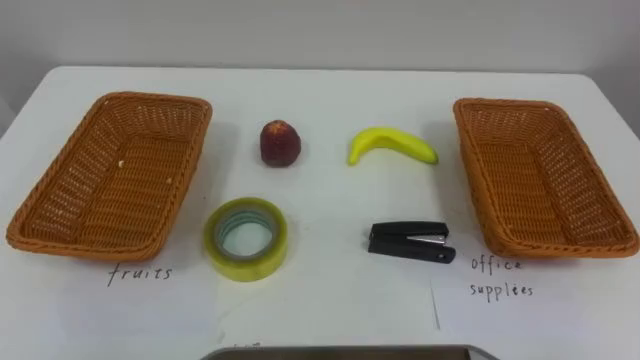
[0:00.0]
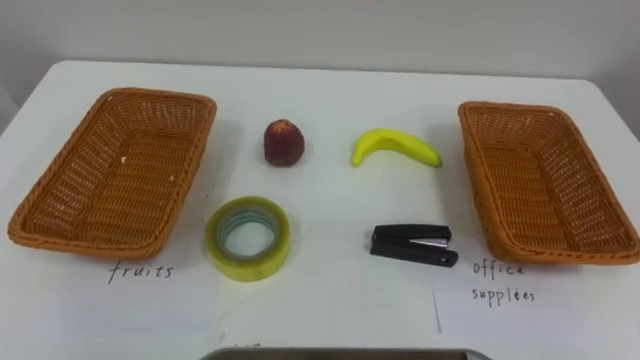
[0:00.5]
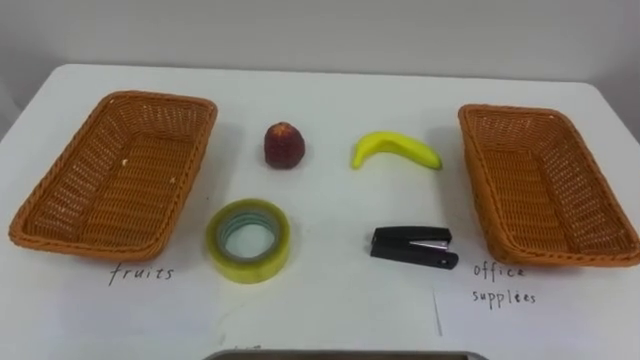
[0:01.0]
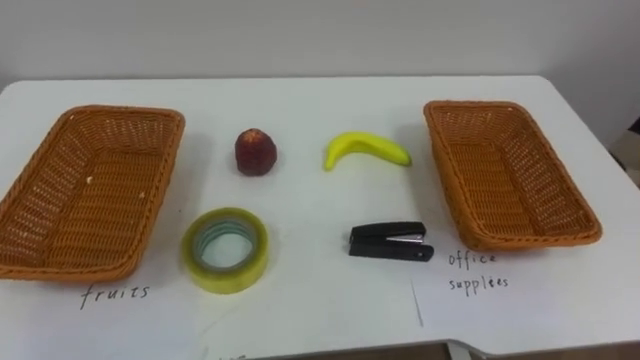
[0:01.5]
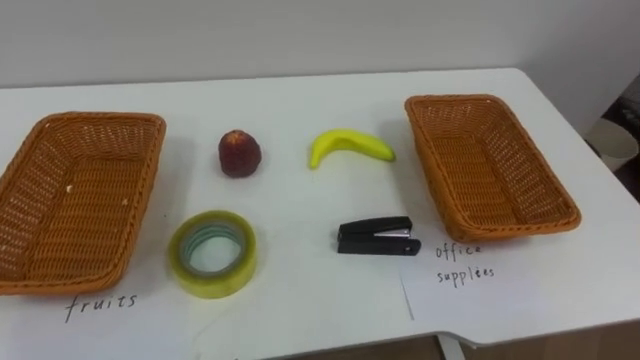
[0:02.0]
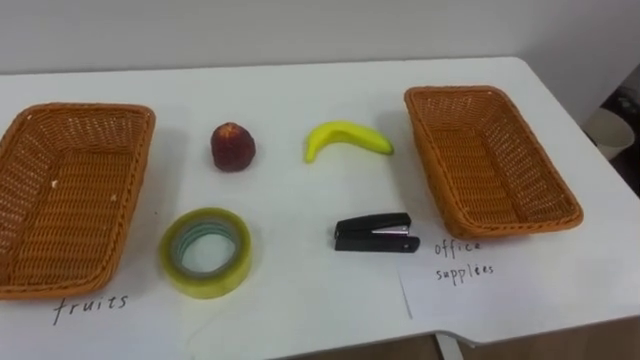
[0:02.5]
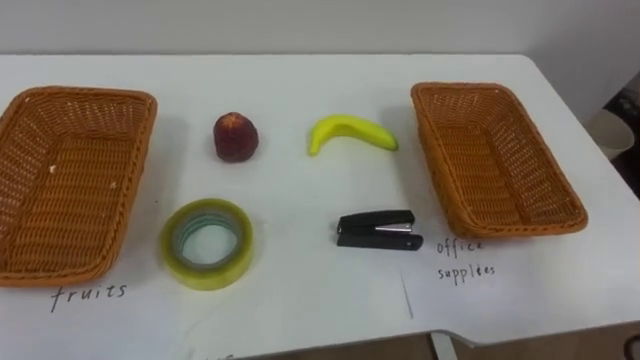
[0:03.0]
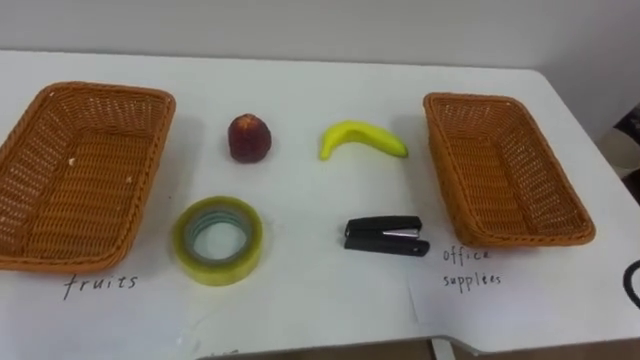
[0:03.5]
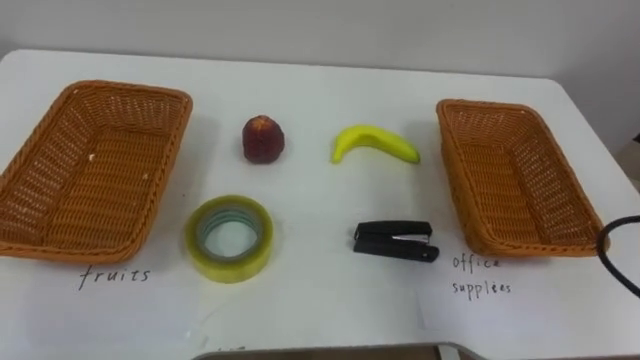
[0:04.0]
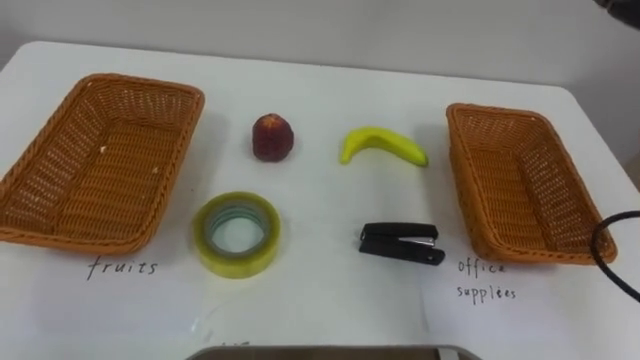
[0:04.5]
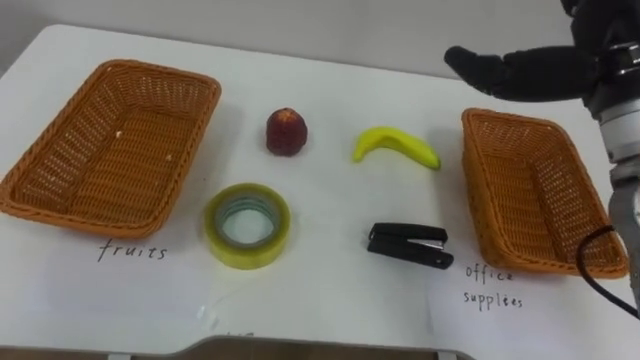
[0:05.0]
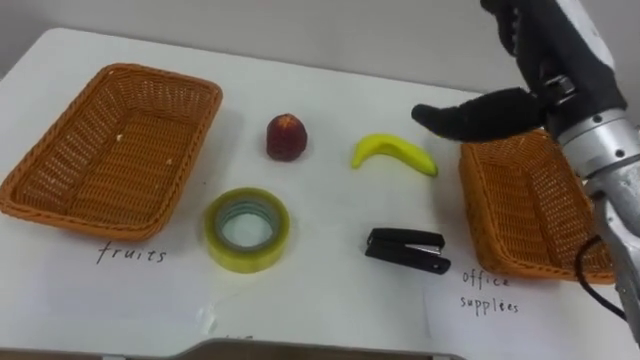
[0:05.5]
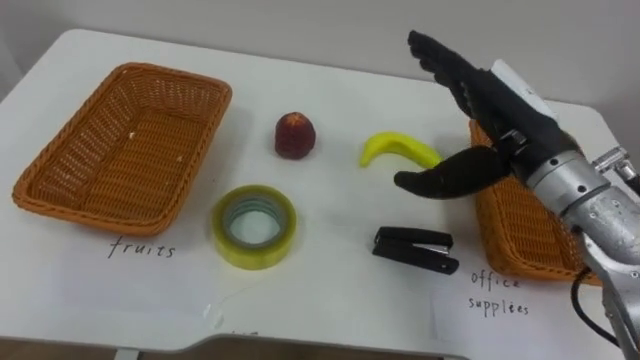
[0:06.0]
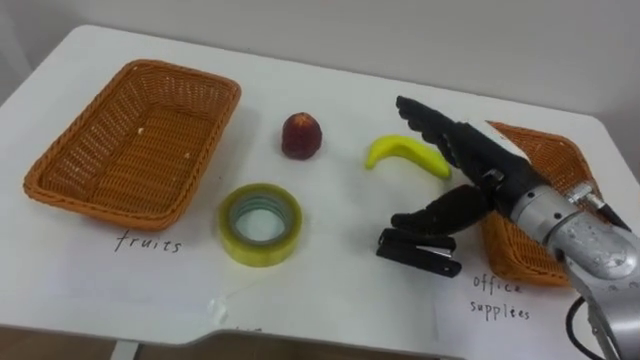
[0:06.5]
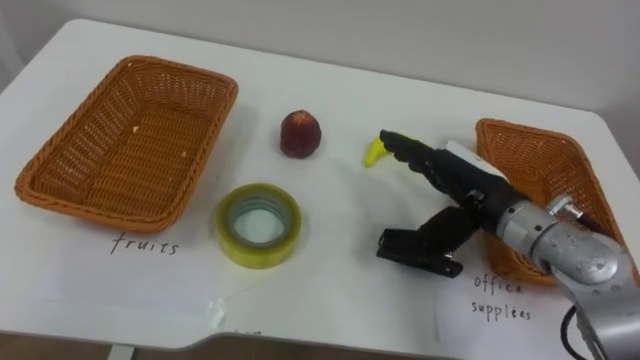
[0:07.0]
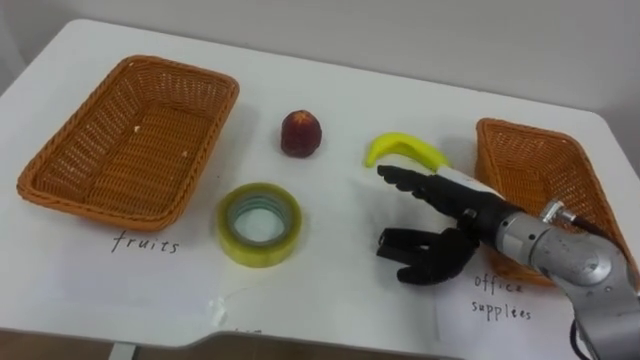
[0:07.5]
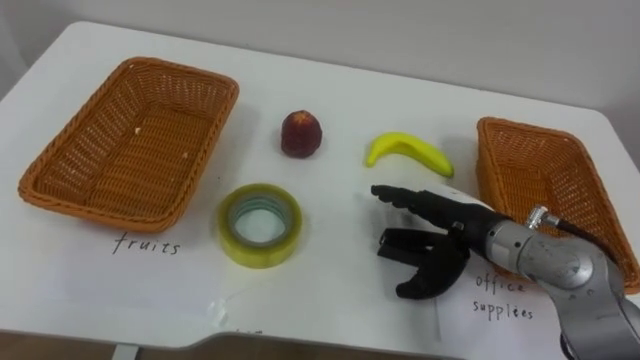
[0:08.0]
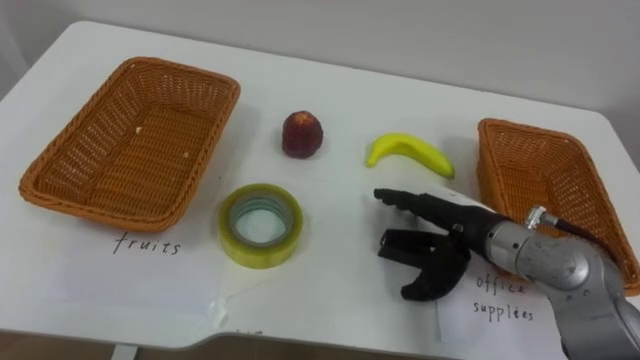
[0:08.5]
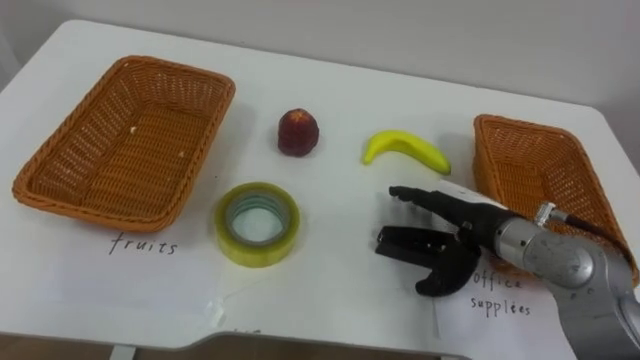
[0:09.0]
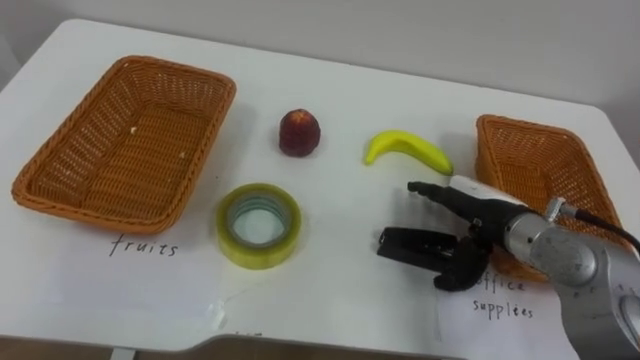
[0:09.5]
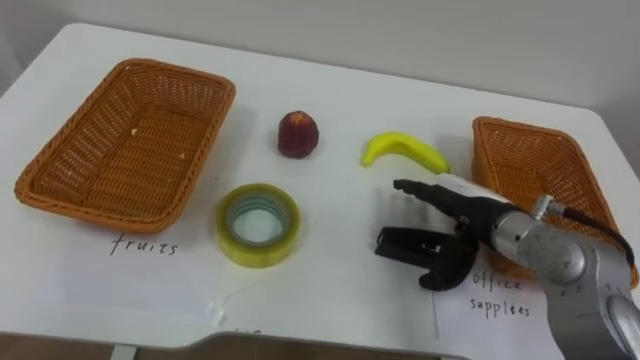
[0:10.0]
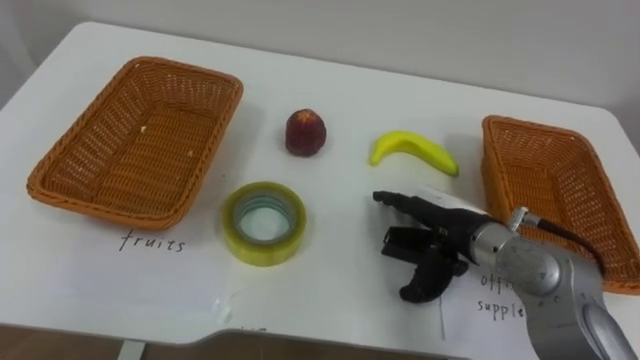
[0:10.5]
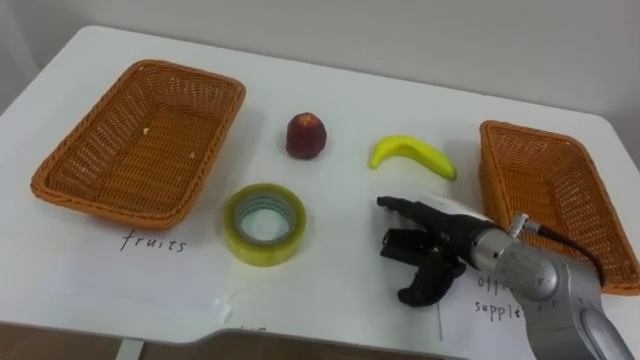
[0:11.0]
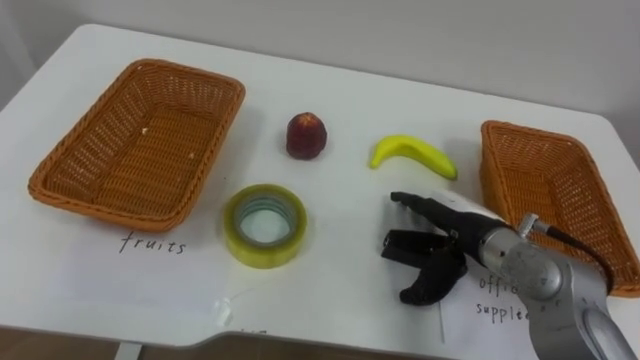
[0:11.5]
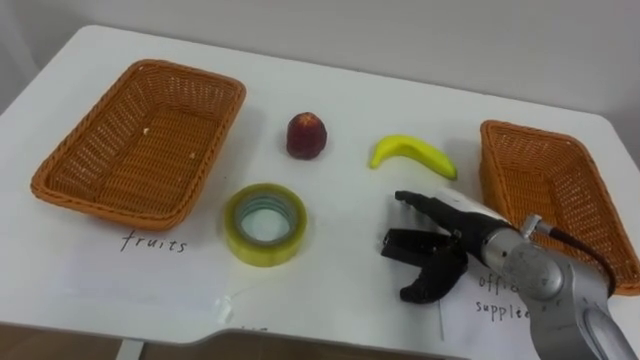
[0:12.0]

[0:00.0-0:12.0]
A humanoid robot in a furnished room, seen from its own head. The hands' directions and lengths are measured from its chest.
Task of the whole recording: Separate the items on the table and place them into the two baskets.
0:06.0 to 0:08.0: The right hand travels downward by roughly 15 cm.

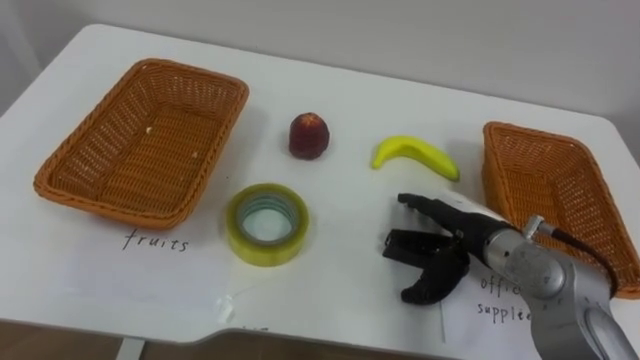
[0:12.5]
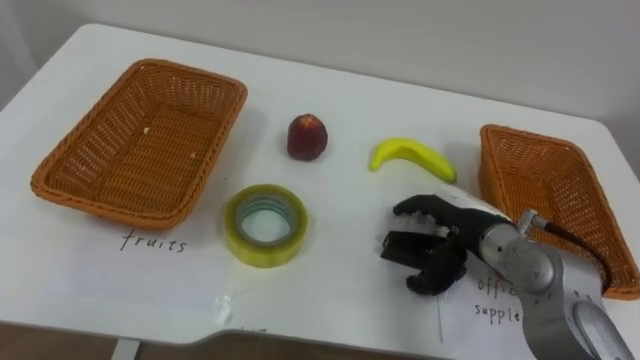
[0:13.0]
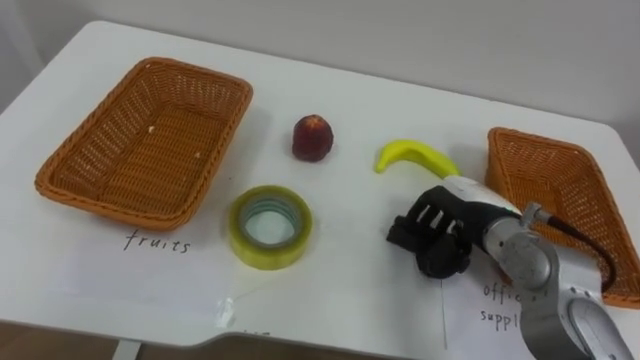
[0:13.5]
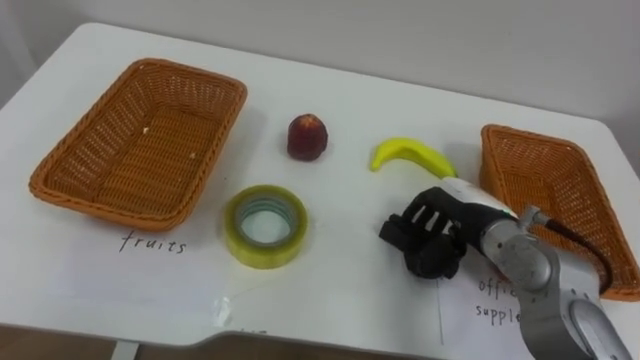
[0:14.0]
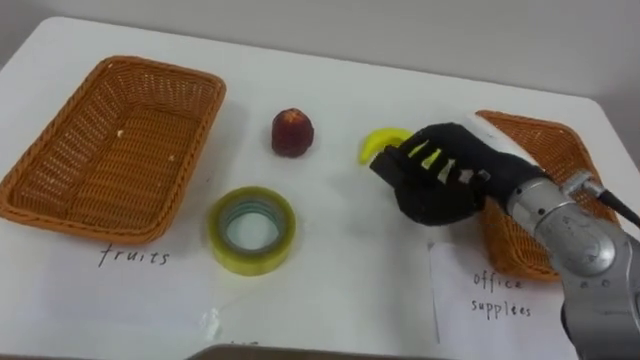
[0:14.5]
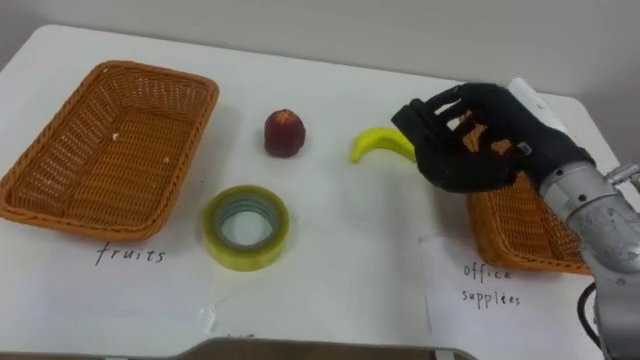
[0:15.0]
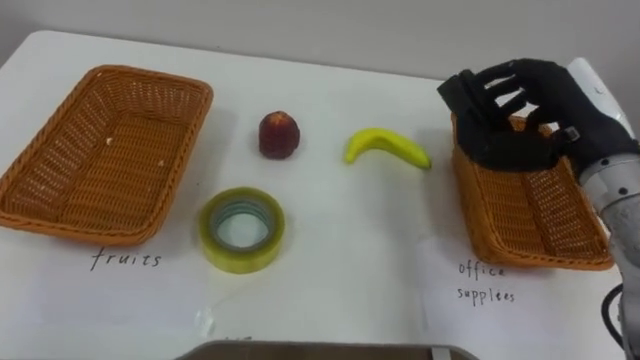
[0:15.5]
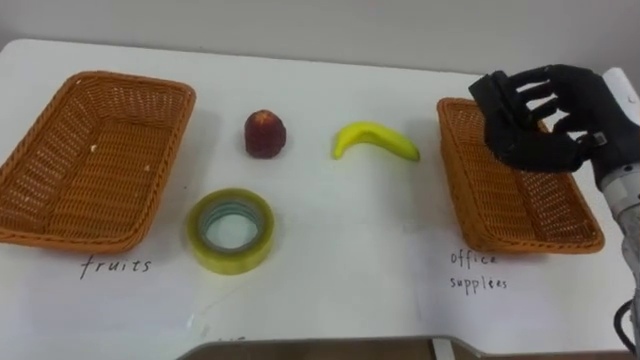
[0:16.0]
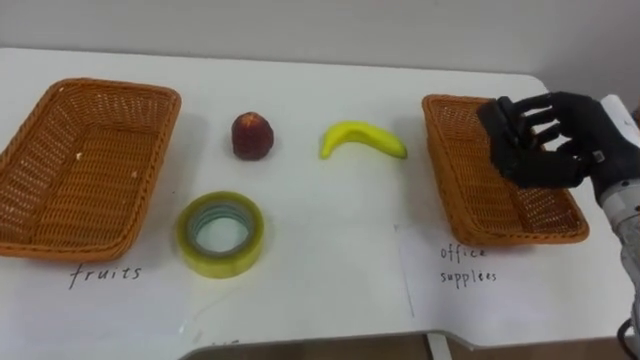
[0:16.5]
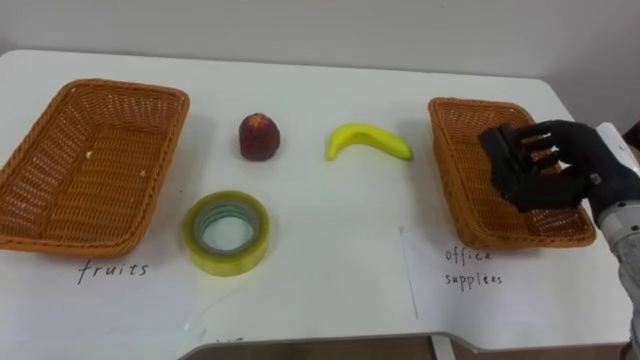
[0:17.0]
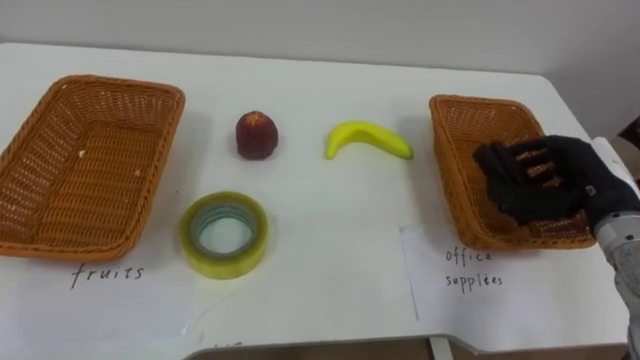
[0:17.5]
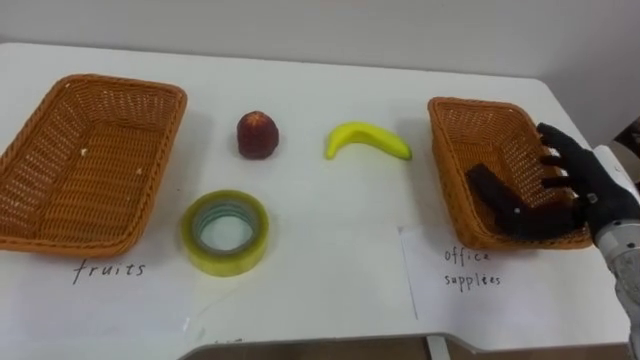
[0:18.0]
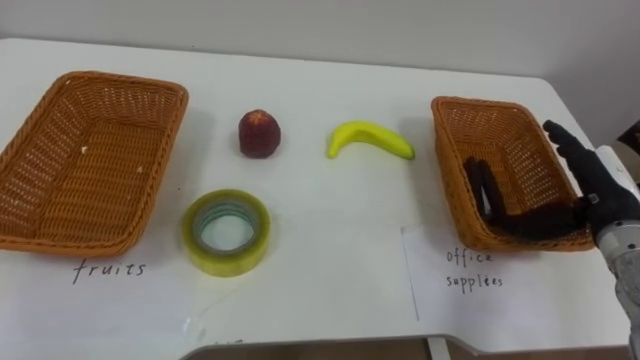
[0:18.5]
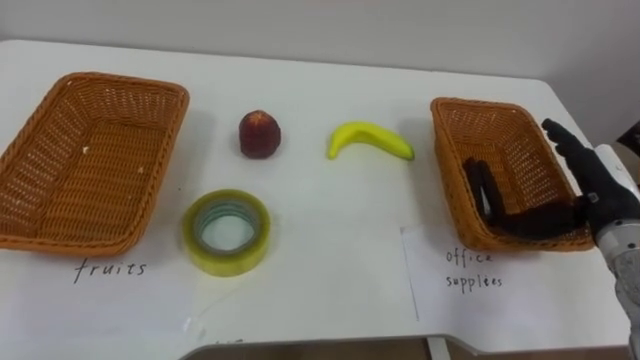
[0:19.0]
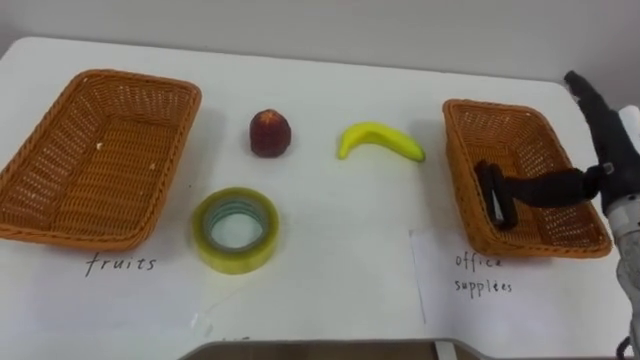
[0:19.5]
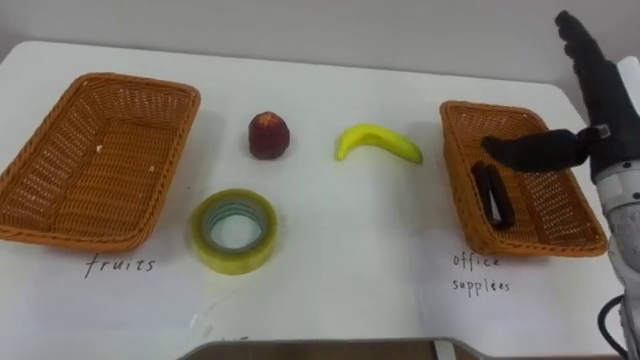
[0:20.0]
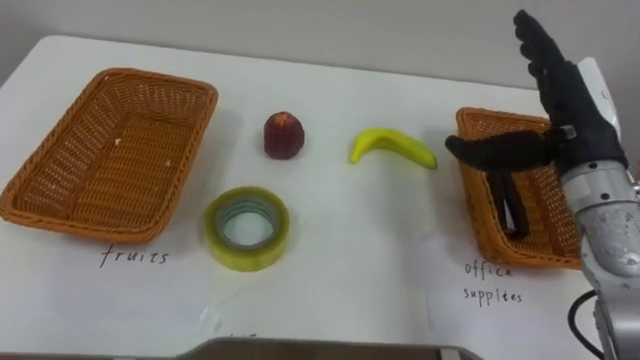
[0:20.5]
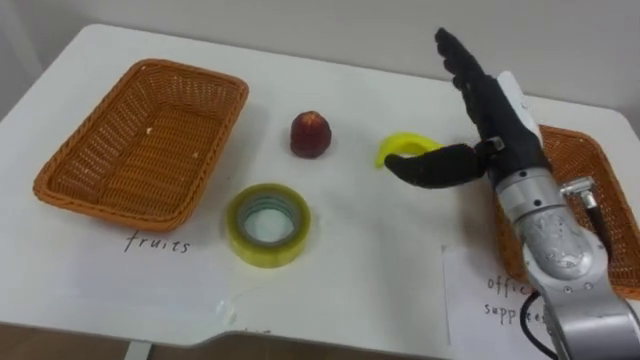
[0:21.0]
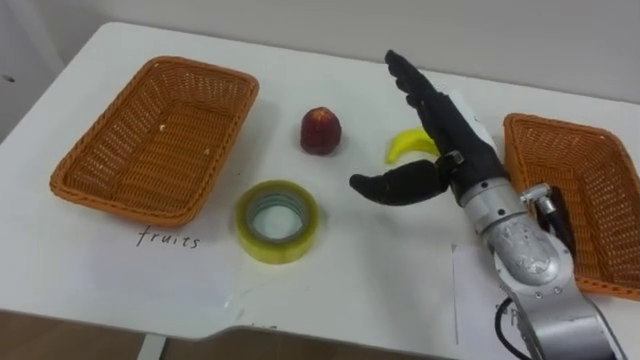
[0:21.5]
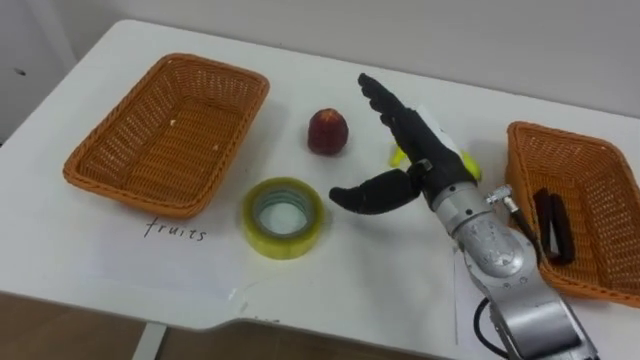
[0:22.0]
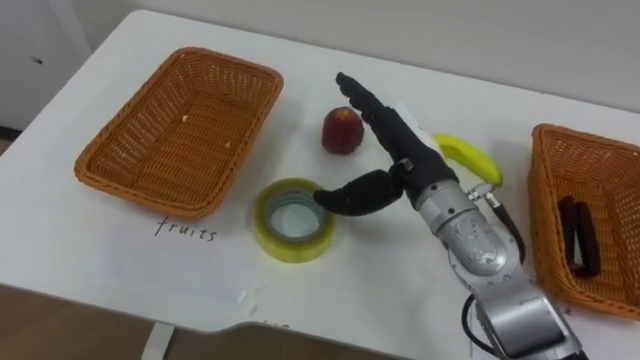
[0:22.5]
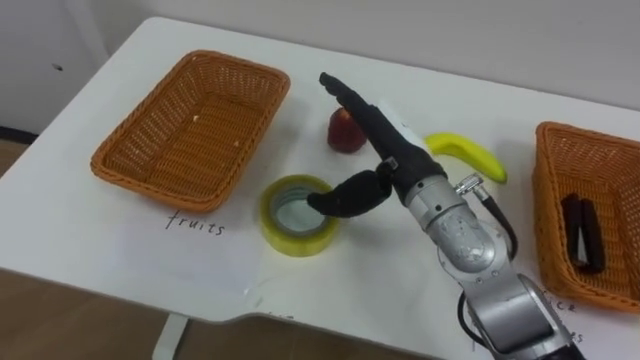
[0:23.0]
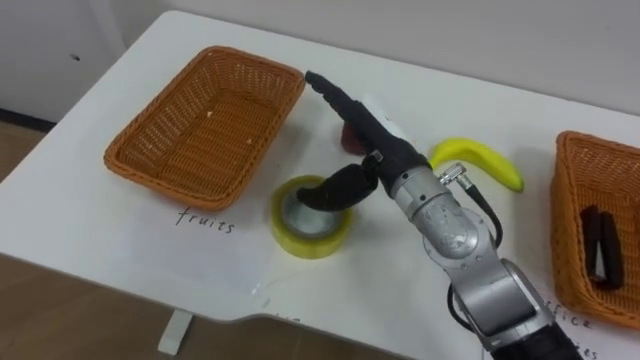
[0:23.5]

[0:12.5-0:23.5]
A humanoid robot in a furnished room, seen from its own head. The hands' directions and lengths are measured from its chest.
Task of the whole recording: Separate the items on the table and place them into the two baskets.
0:12.5 to 0:14.5: The right hand goes some 10 cm upward, and closes up.
0:14.5 to 0:16.0: The right hand moves to the right, approximately 10 cm.
0:16.0 to 0:18.0: The right hand heads downward, covering some 10 cm, and opens its fingers.
0:18.0 to 0:20.0: The right hand moves upward, roughly 10 cm.
0:20.0 to 0:21.5: The right hand shifts roughly 15 cm to the left.
0:21.5 to 0:23.5: The right hand travels to the left by approximately 10 cm.
